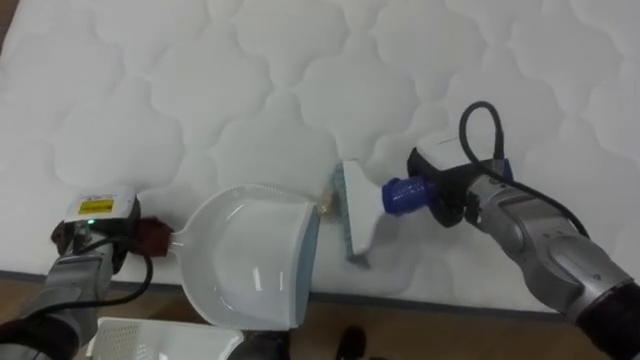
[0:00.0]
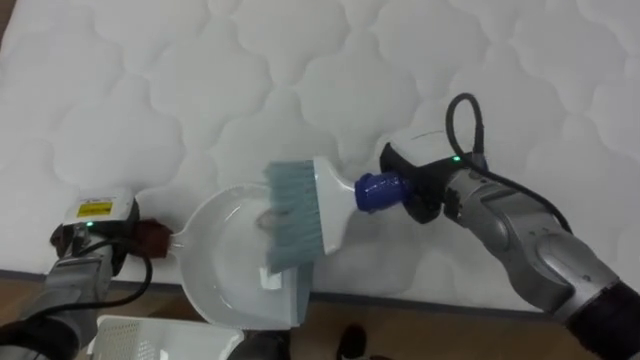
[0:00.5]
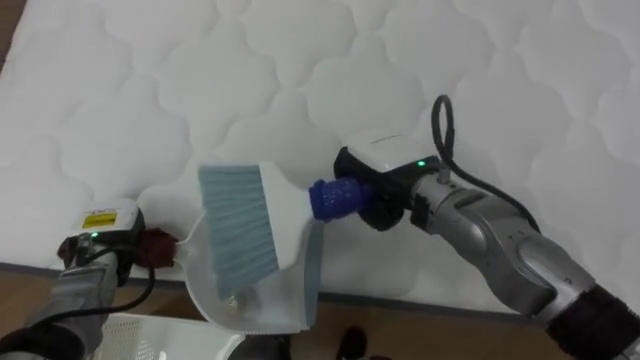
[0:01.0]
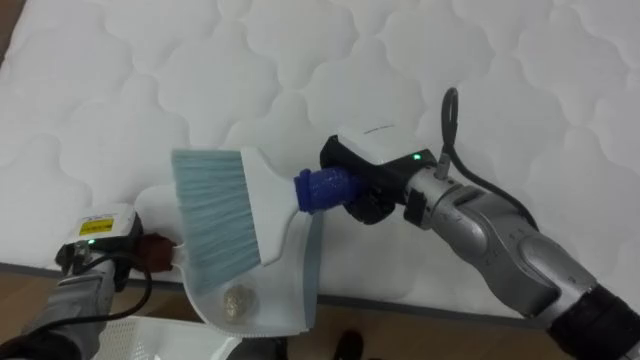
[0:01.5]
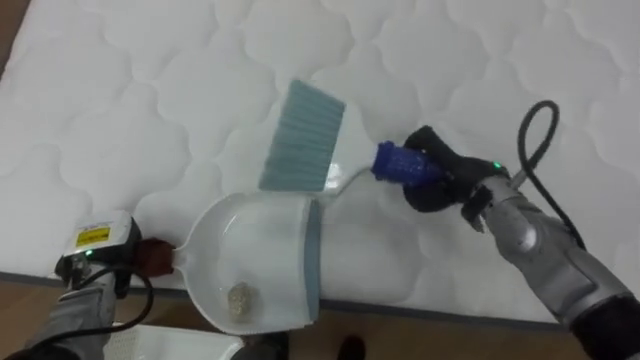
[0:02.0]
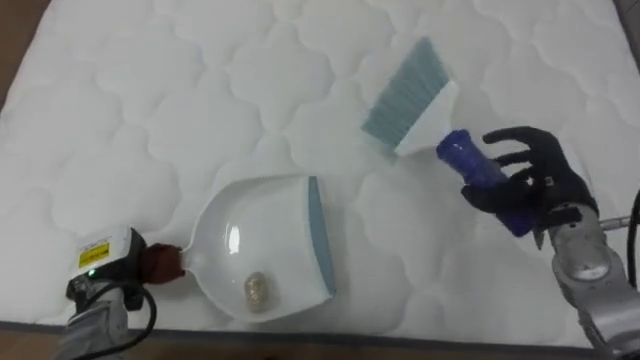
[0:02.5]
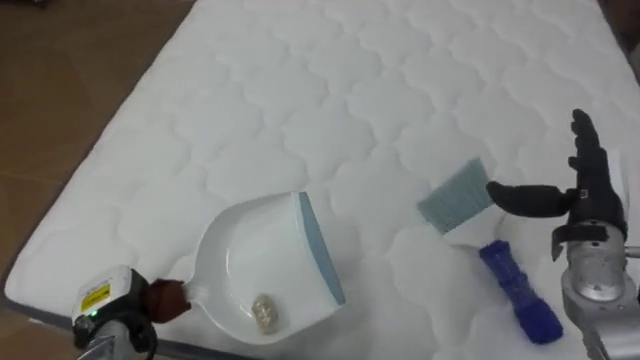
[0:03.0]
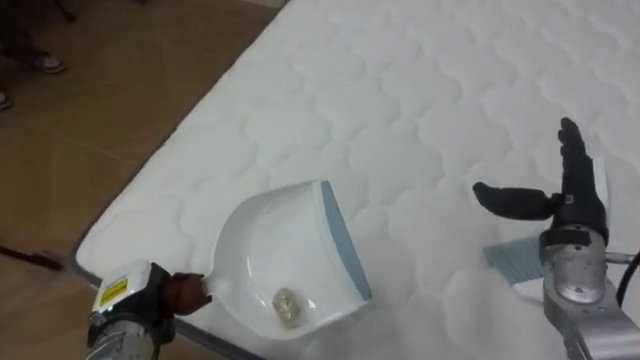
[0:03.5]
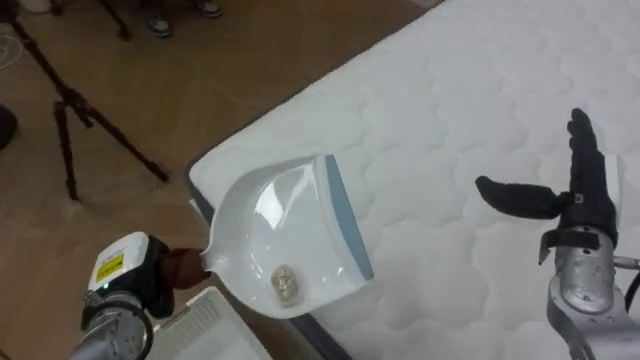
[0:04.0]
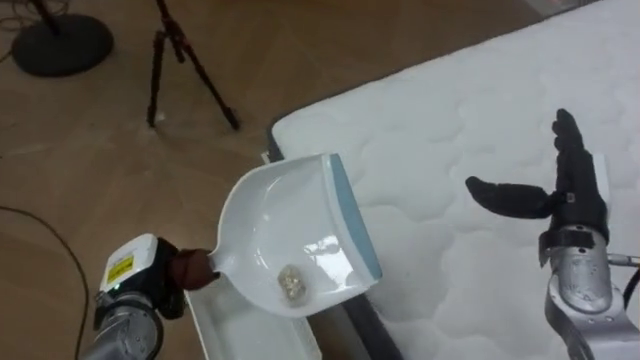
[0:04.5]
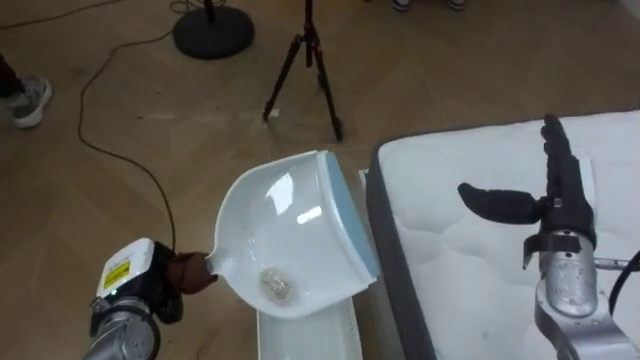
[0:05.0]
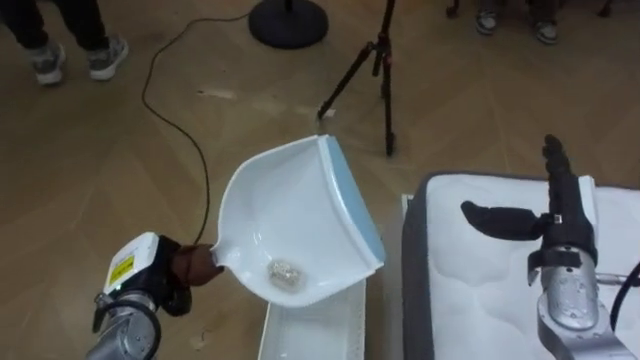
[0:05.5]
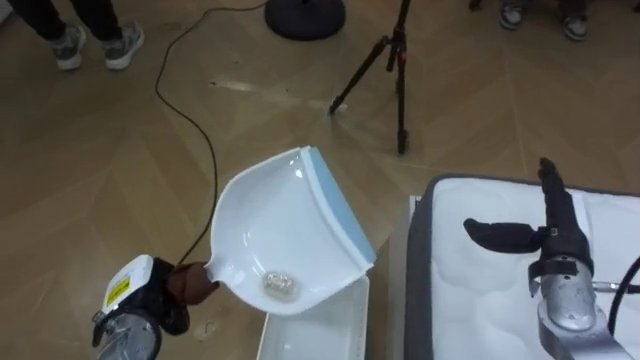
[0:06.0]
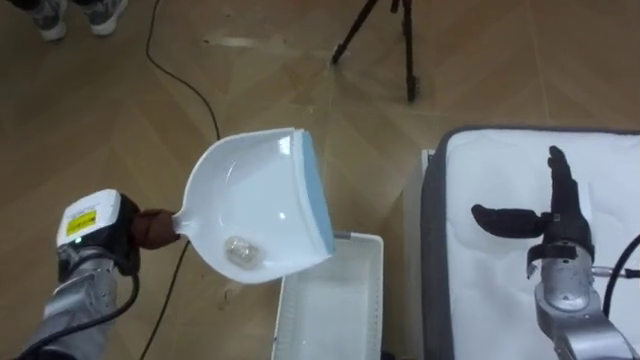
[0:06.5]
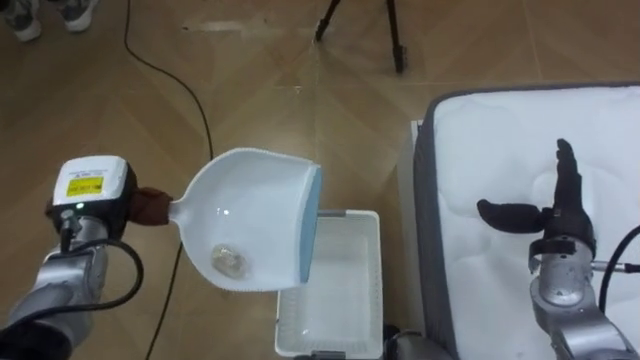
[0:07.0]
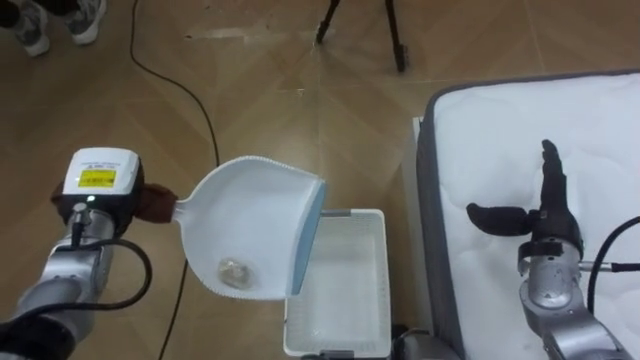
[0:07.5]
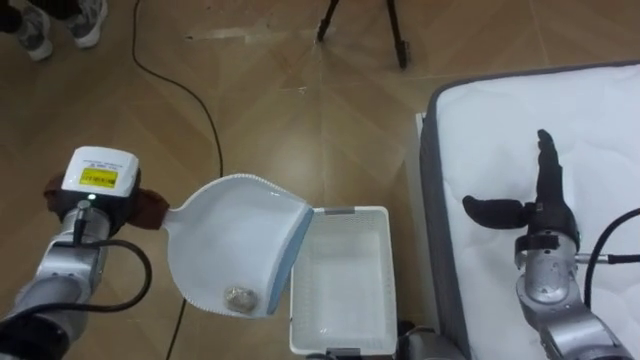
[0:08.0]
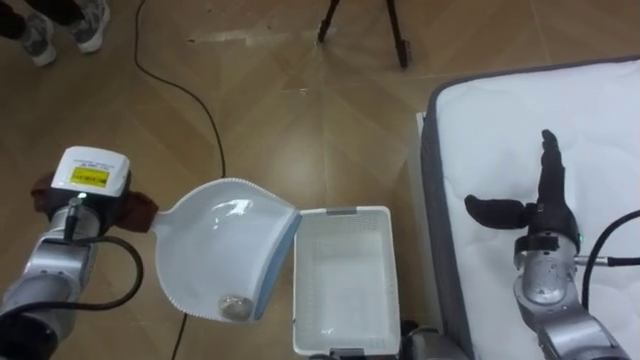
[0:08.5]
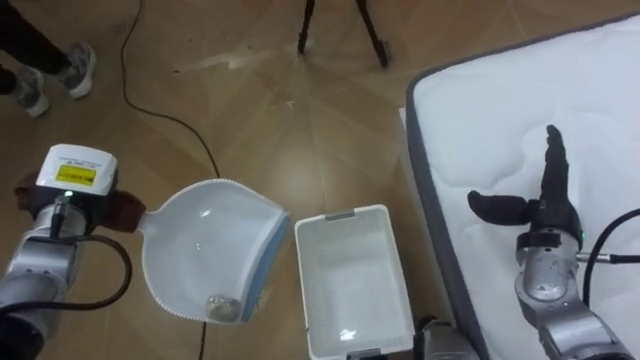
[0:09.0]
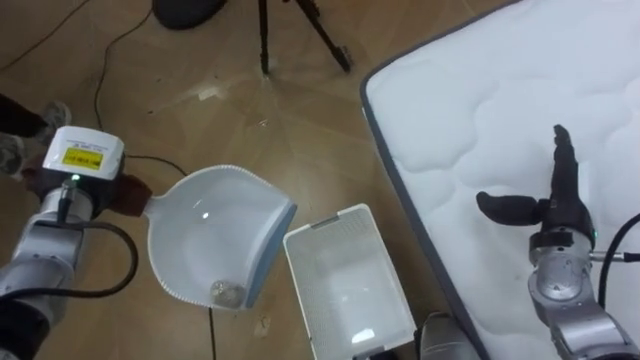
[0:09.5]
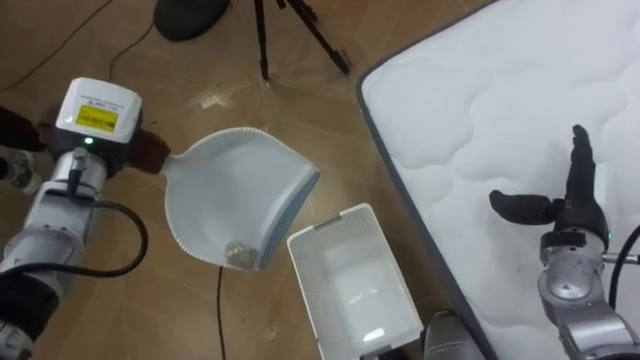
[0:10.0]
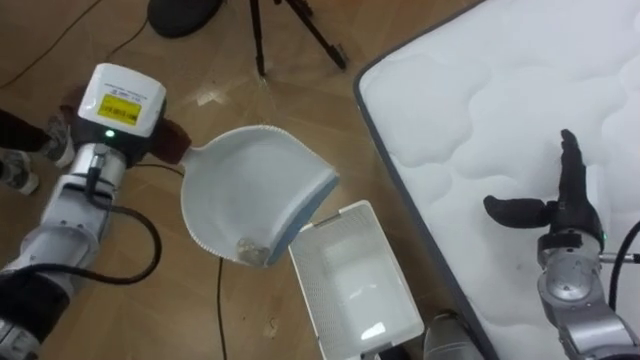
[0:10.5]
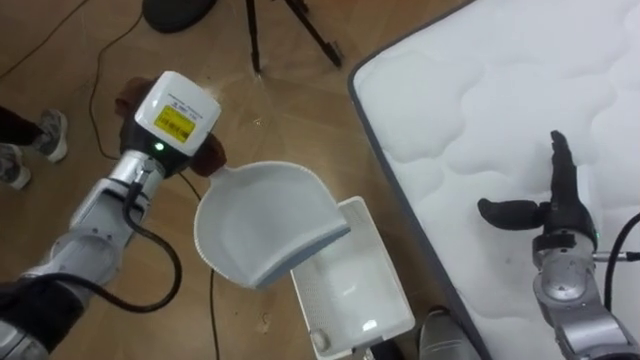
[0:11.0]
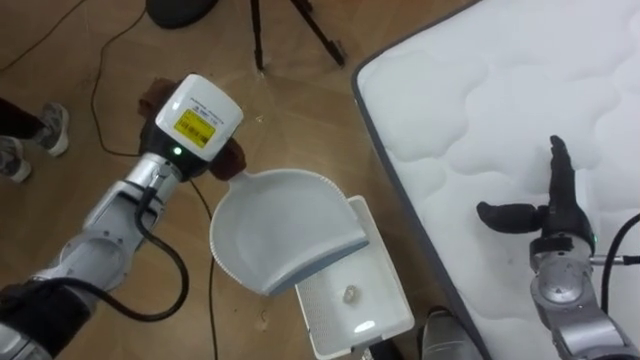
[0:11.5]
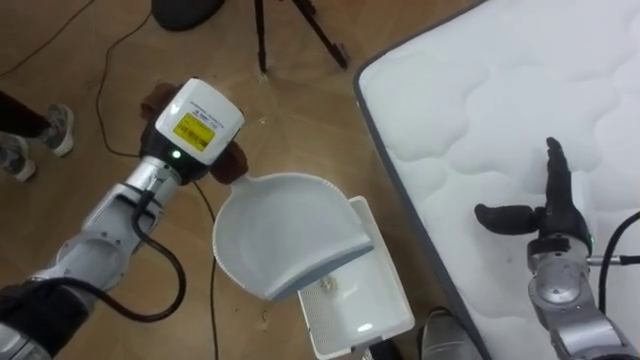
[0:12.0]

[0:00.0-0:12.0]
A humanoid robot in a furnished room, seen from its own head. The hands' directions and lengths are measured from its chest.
Task of the whole recording: Pick up the brush on your right and the dustpan on your left. Use the brush to sweep the crumpled paper on the bed into the dustpan, then turn left and empty it into the basket.
0.0 to 2.0 s: The right hand reaches roughly 10 cm to the left, then returns.
2.0 to 4.0 s: The robot turns to its left by approximately 45 degrees. The right hand heads to the right and backward, covering about 15 cm, and opens.
4.0 to 6.0 s: The robot rotates roughly 55 degrees to its left. The right hand moves downward, about 5 cm.
6.0 to 8.0 s: The left hand shifts some 15 cm upward and forward.
8.0 to 10.0 s: The left hand shifts some 5 cm upward.
10.0 to 12.0 s: The left hand shifts some 10 cm to the right.

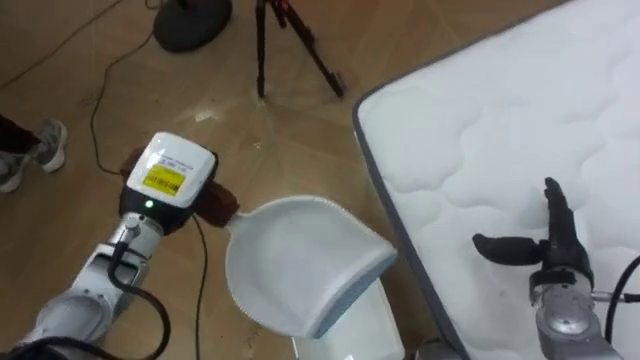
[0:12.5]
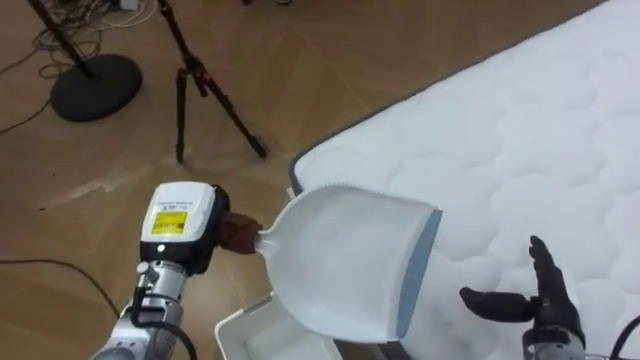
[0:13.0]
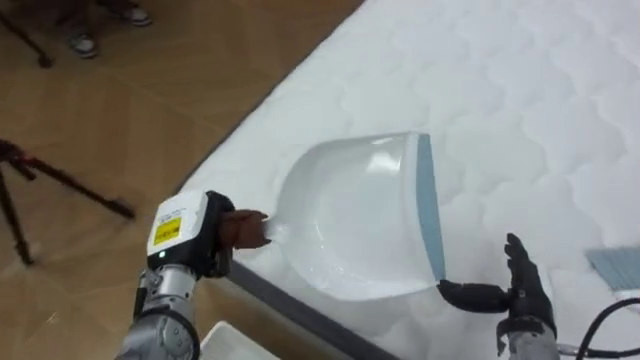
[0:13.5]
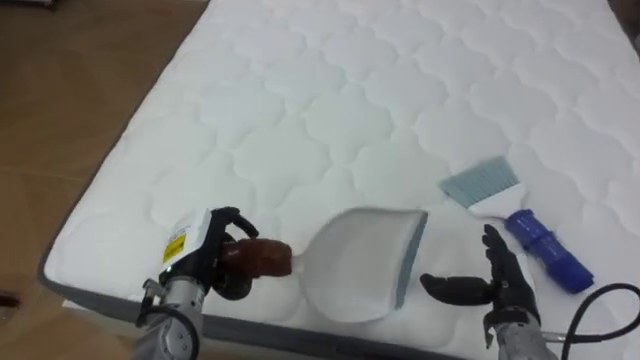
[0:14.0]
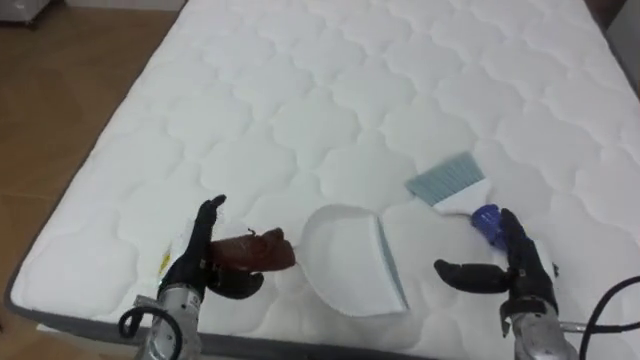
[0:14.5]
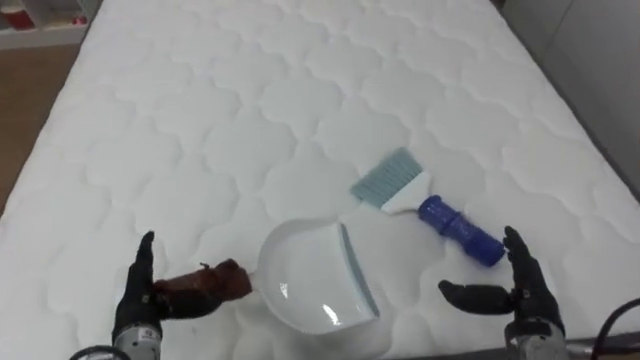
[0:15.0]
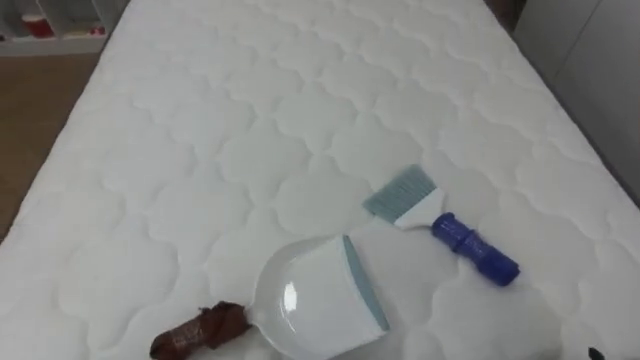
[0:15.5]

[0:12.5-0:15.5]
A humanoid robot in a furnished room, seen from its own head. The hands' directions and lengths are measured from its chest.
Task of the whole recording: Pick up the brush on your right and the dustpan on your left. Use the brush to sweep the crumpled paper on the bed into the dustpan, then turn left and empty it into the basket.
12.5 to 14.0 s: The robot rotates approximately 70 degrees to its right. The left hand travels downward and backward by some 10 cm, while the right hand goes some 5 cm to the left.
14.0 to 15.5 s: The robot rotates roughly 20 degrees to its right.

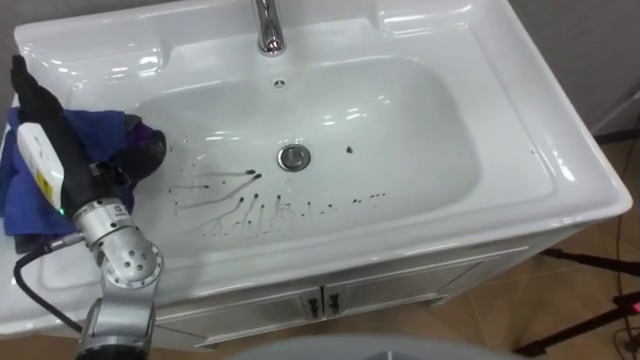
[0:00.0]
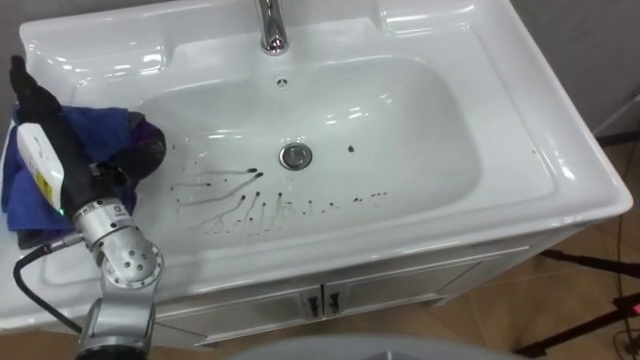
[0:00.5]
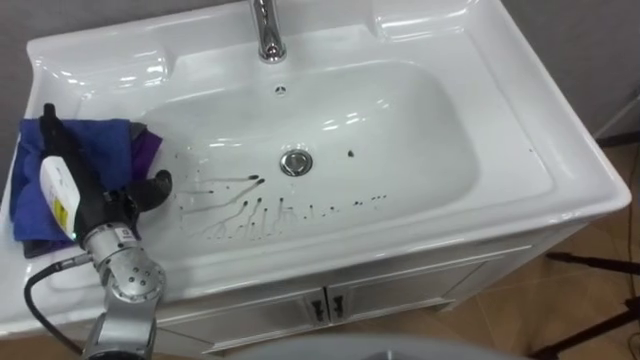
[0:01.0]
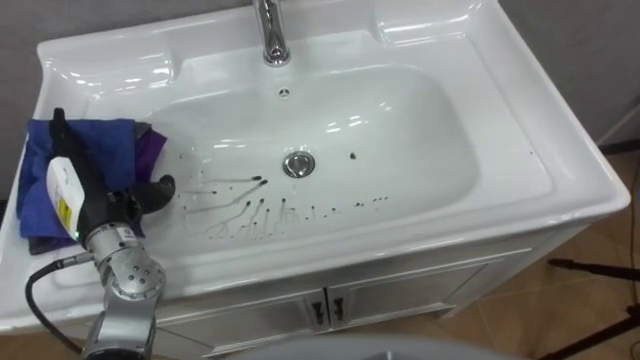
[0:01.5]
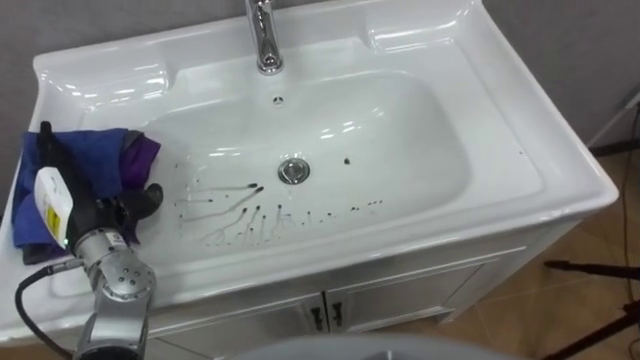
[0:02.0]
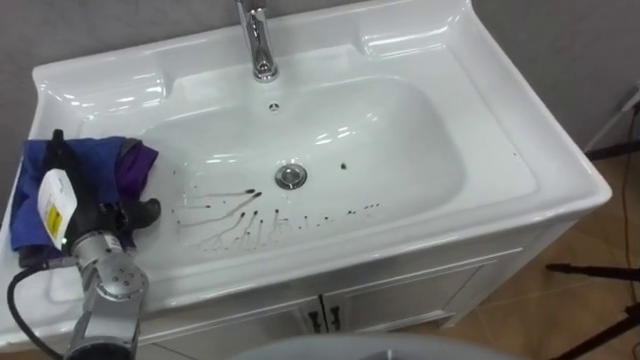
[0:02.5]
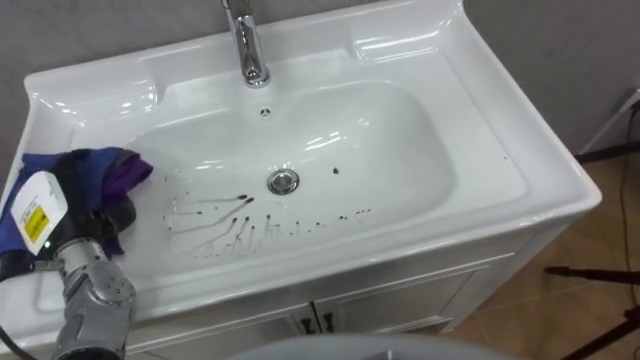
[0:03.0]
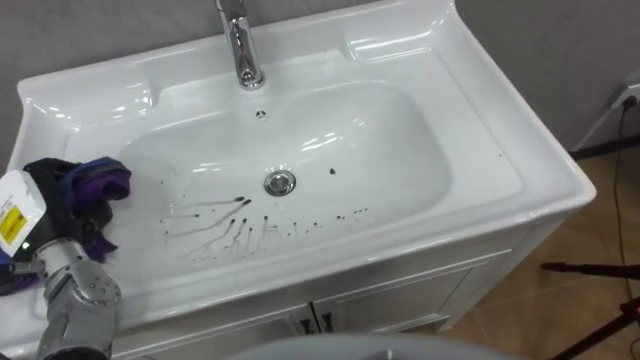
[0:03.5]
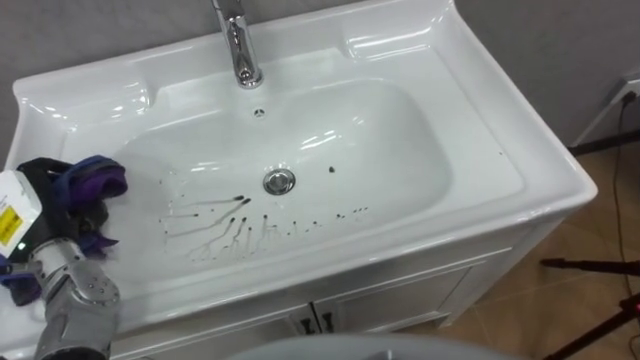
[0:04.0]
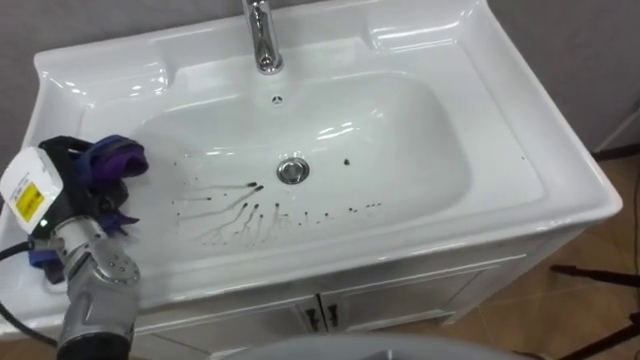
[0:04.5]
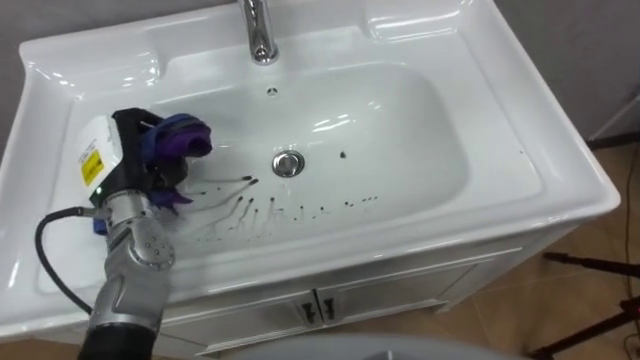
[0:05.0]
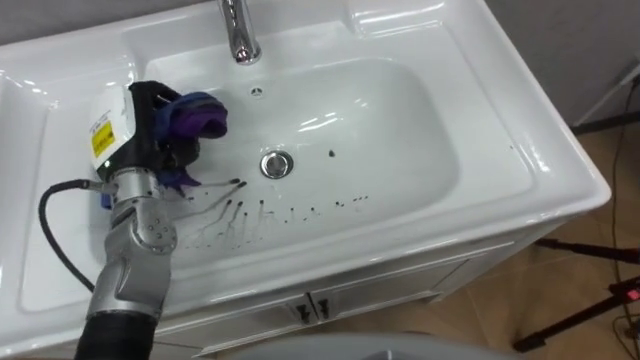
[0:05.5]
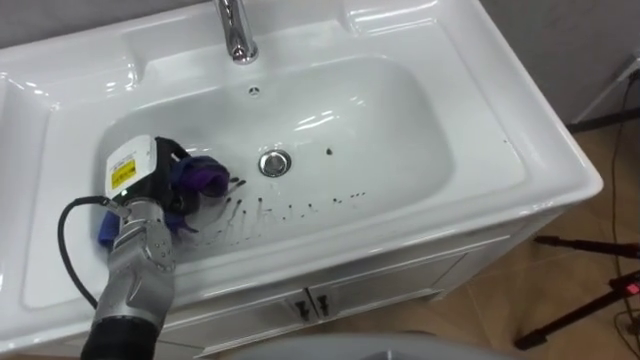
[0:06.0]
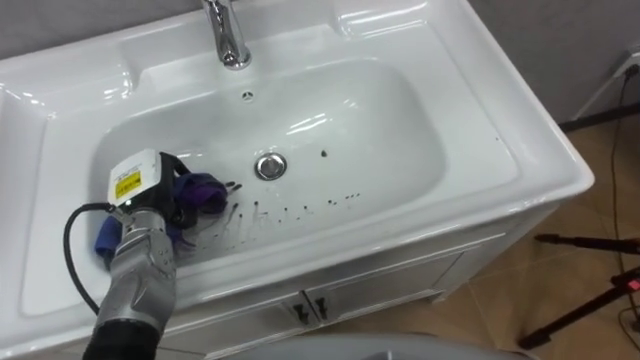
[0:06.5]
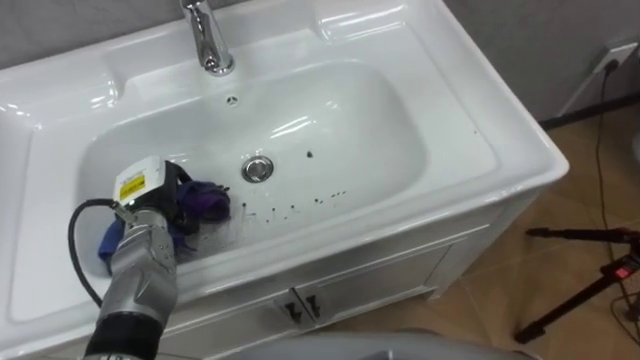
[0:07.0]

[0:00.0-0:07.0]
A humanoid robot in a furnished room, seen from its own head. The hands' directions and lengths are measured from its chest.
Task of the whole recording: Use the cloth on the right to wipe away the black stain in the sink.
0.0 to 2.0 s: The left hand goes some 10 cm downward.
2.0 to 3.5 s: The left hand closes.
3.5 to 5.0 s: The left hand heads to the right and forward, covering some 10 cm.
5.0 to 7.0 s: The left hand shifts about 10 cm downward.
